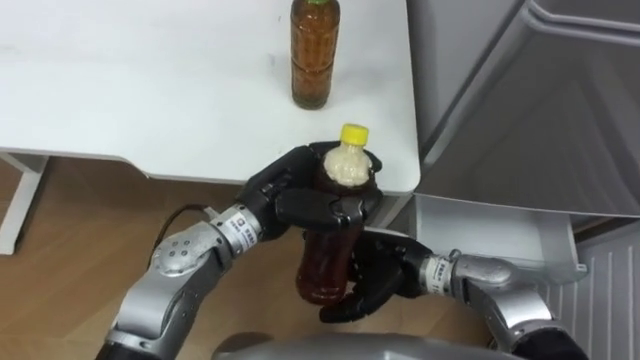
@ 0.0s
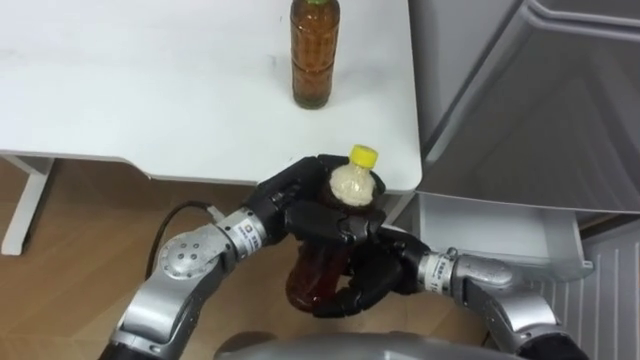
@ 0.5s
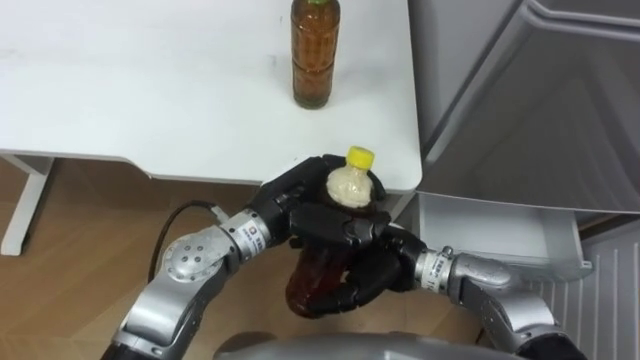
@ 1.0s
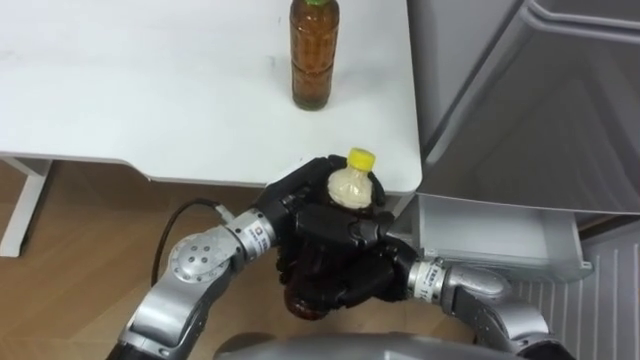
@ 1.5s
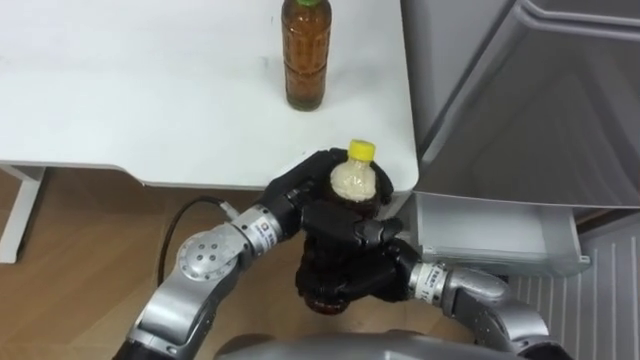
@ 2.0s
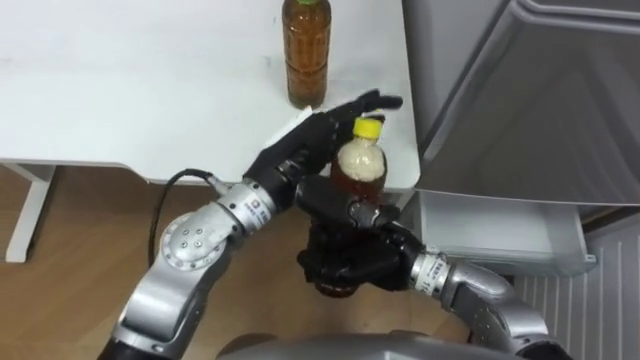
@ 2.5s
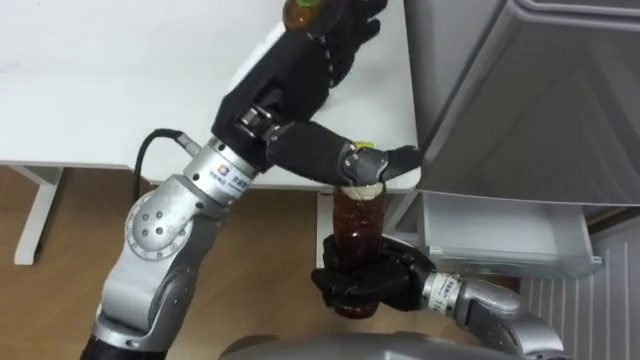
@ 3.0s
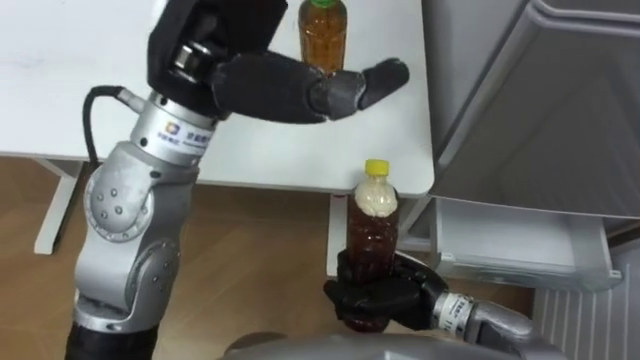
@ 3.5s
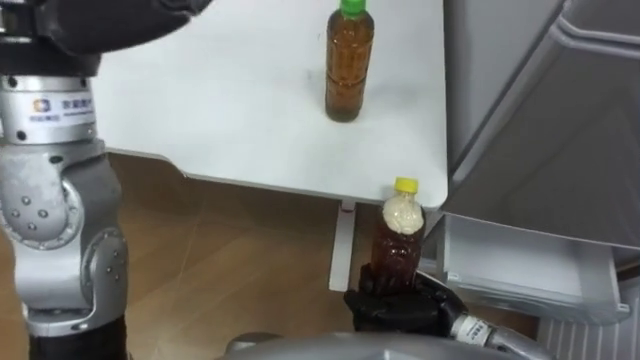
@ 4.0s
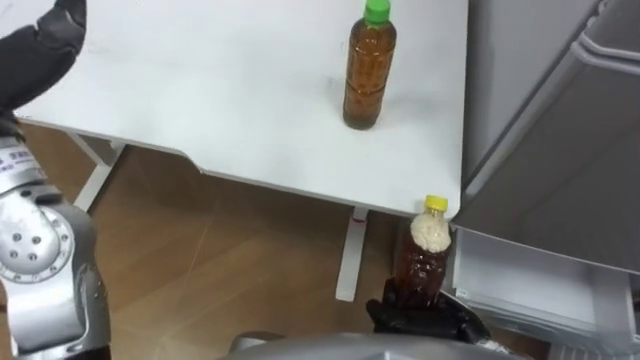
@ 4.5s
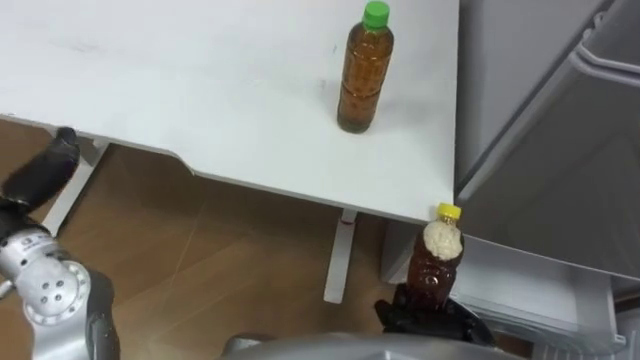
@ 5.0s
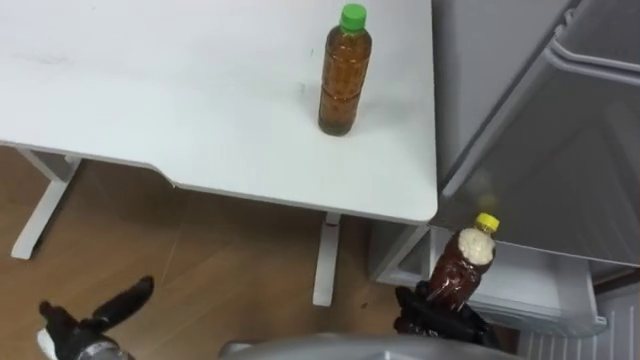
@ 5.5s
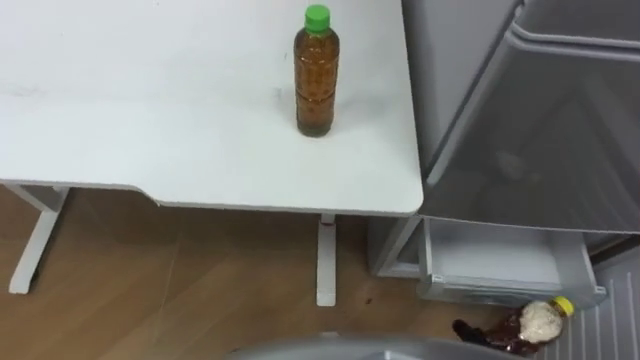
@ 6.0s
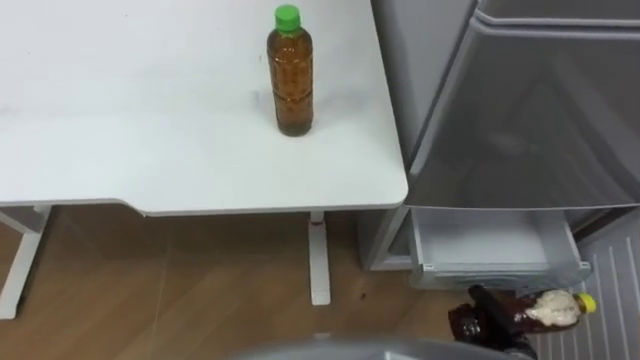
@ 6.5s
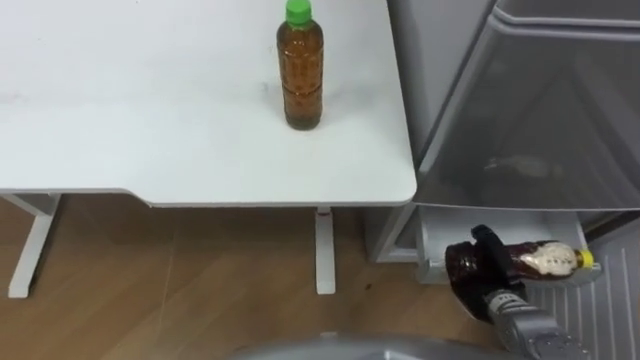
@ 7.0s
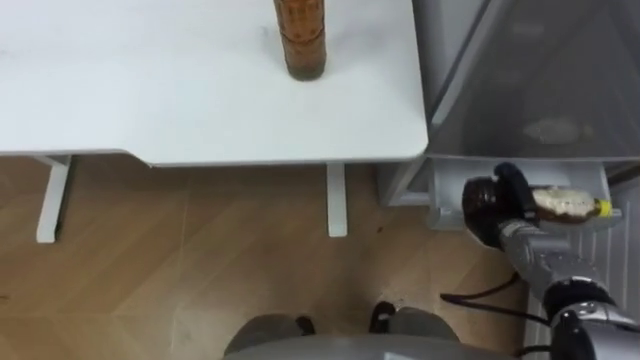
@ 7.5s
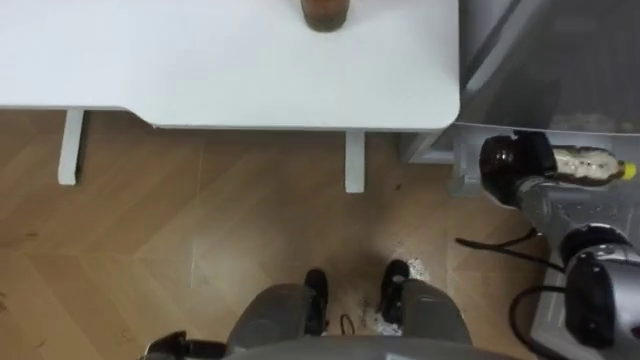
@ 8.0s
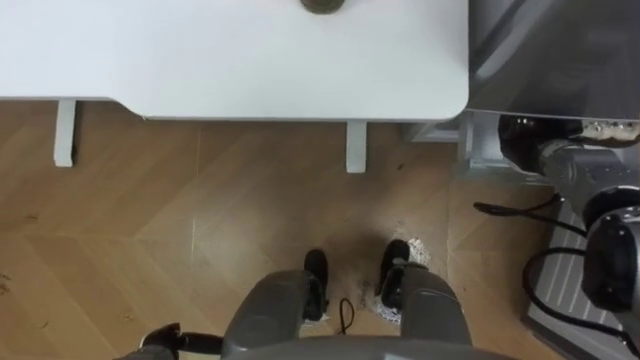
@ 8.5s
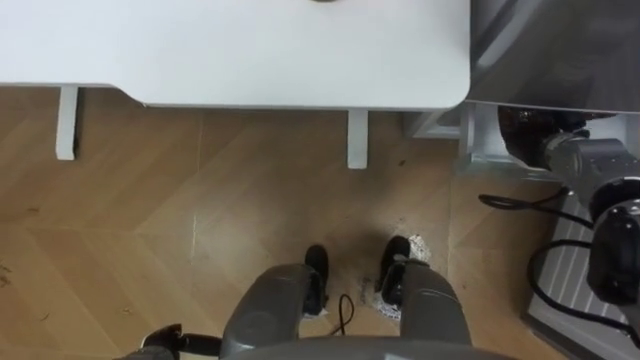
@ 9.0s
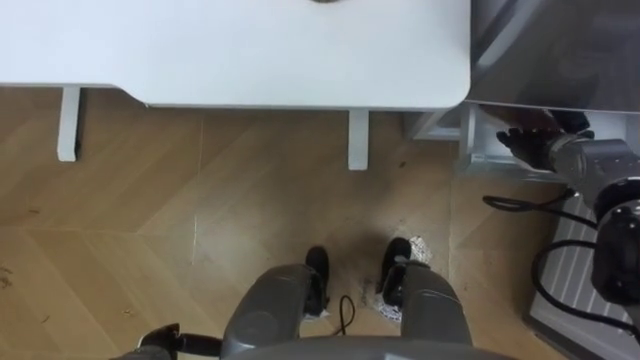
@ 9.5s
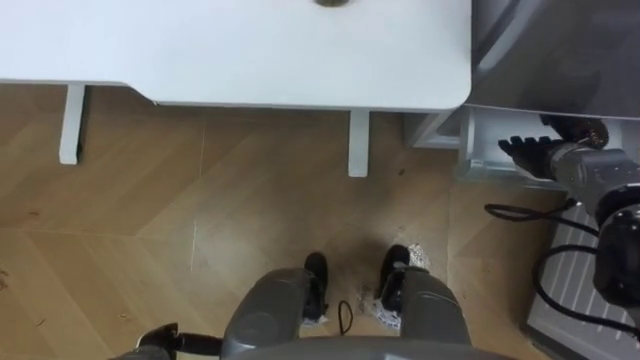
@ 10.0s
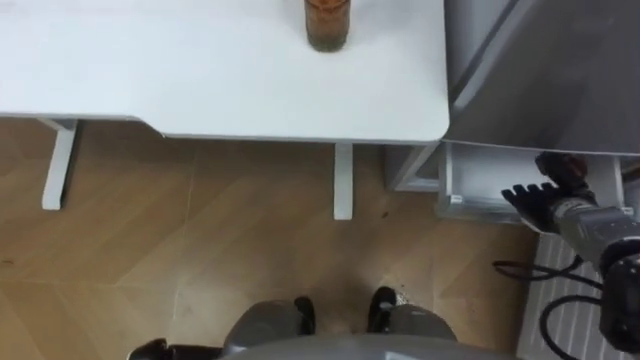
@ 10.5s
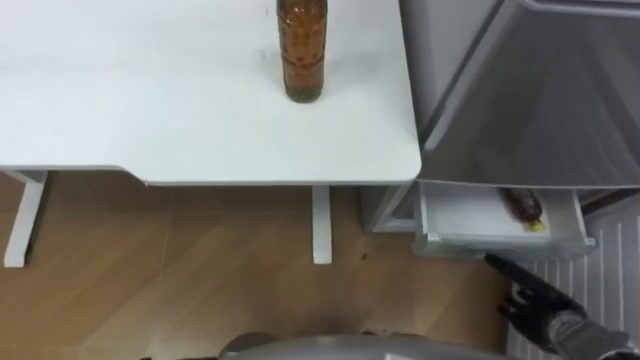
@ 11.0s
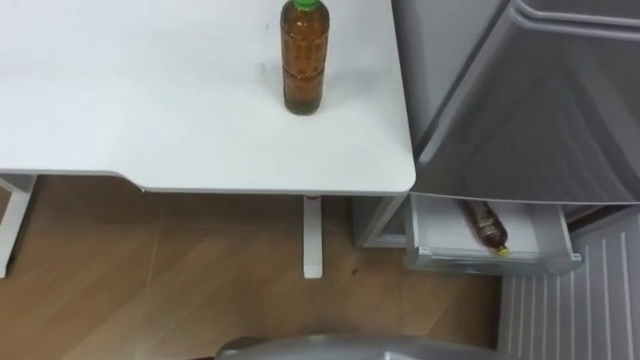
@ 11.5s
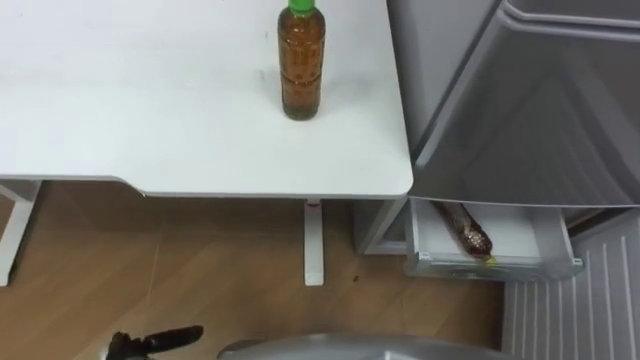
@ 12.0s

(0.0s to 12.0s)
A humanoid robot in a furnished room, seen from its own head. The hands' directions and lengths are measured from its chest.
Task of the whole recording: Place the drink on the table on the bottom shelf of the refrigerator, then close the drawer and the refrigerator door.
0.0s - 2.0s: The right hand closes.
2.0s - 4.0s: The left hand shifts approximately 30 cm upward and to the left, and opens its fingers, while the right hand is displaced to the right by approximately 5 cm.
8.0s - 10.0s: The right hand moves roughly 5 cm, and opens its fingers.

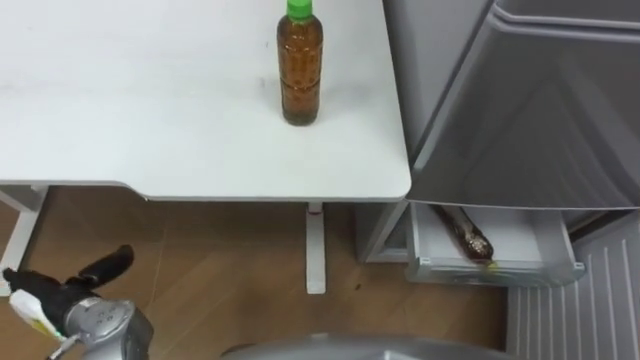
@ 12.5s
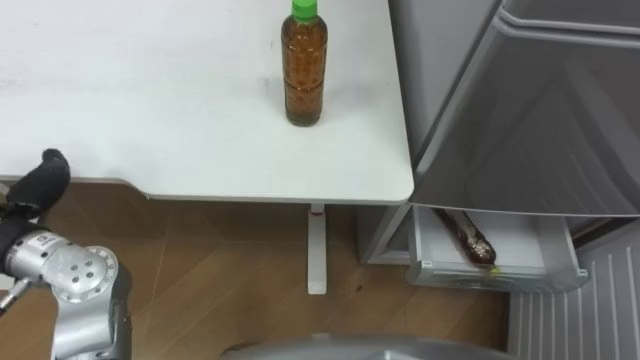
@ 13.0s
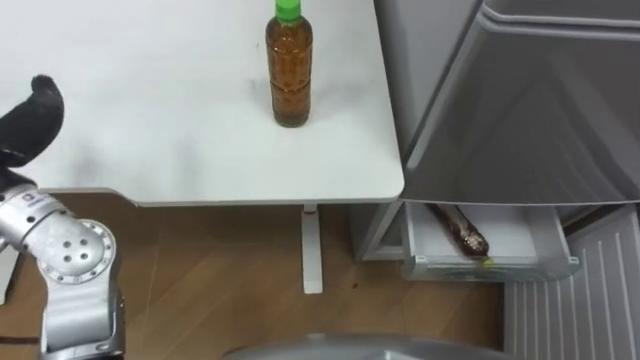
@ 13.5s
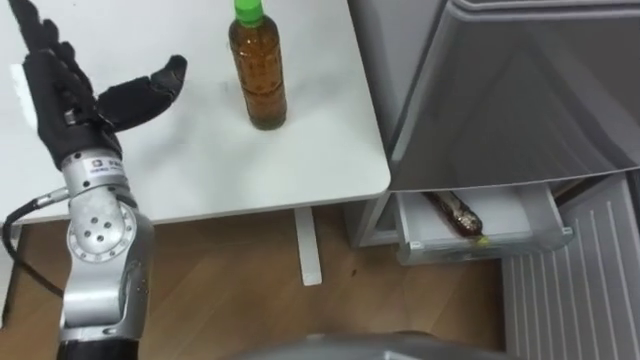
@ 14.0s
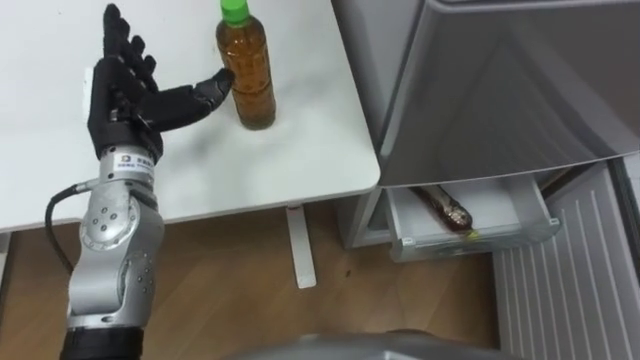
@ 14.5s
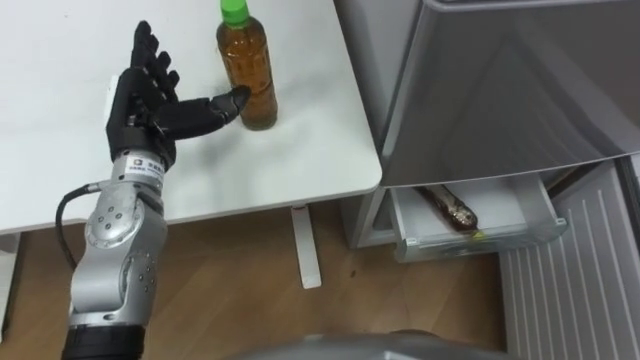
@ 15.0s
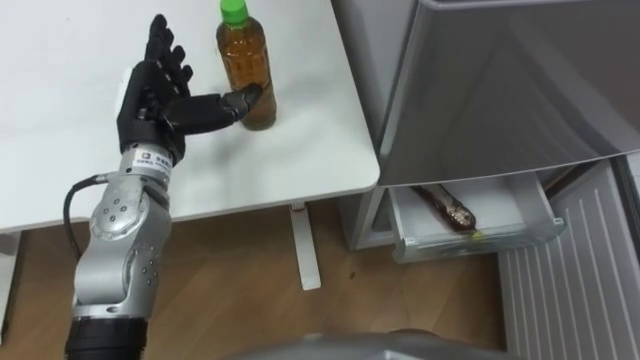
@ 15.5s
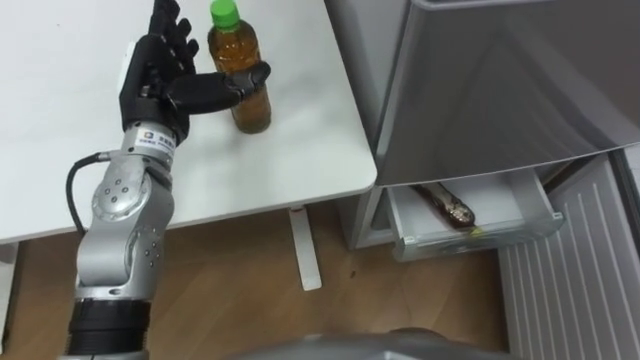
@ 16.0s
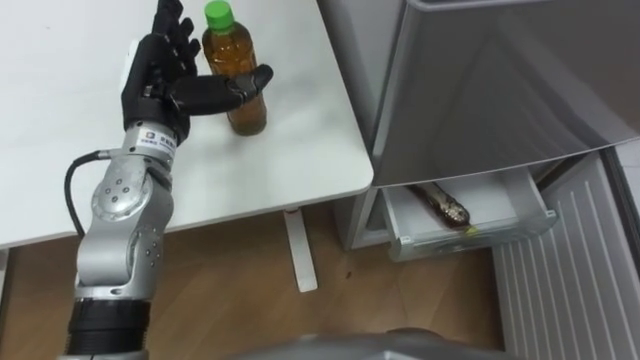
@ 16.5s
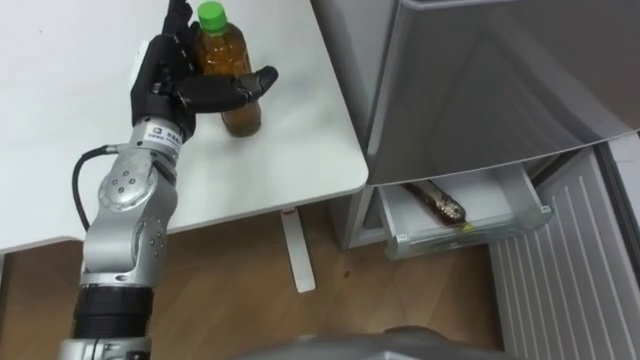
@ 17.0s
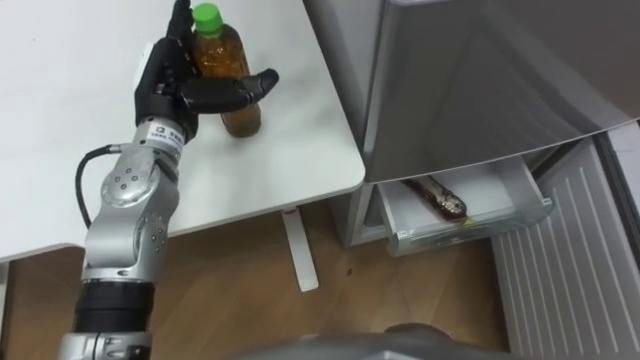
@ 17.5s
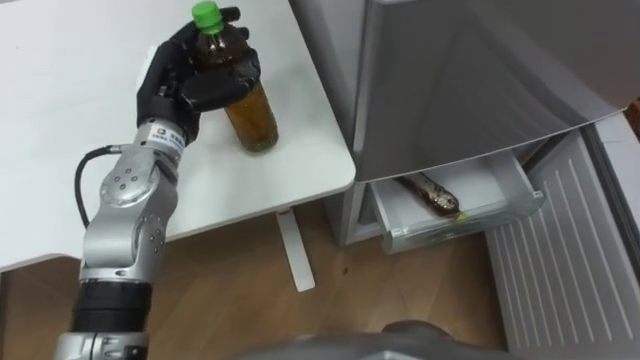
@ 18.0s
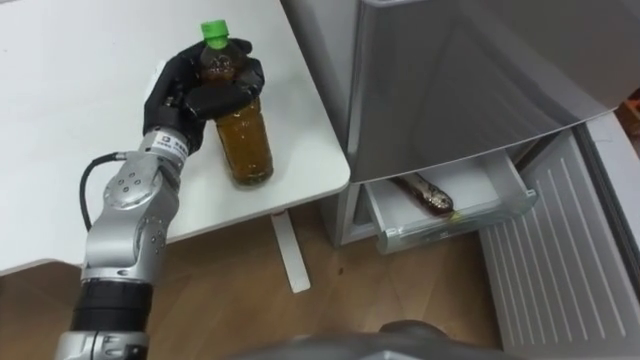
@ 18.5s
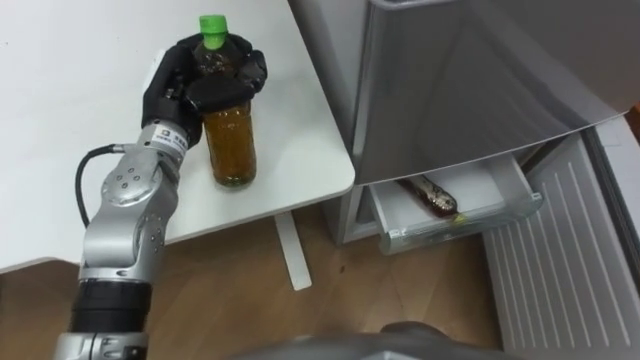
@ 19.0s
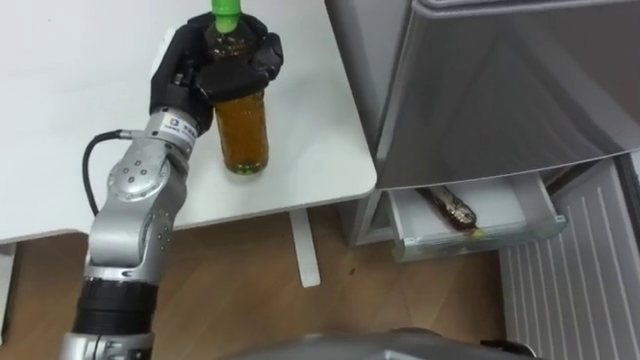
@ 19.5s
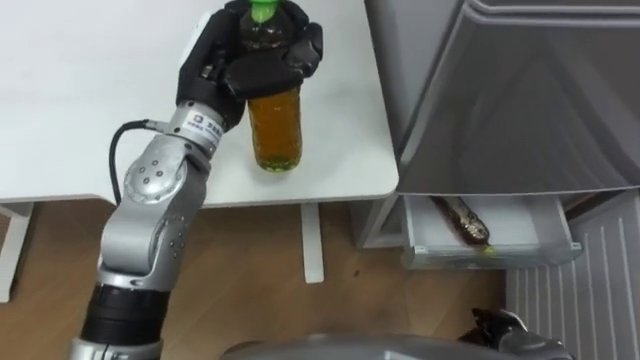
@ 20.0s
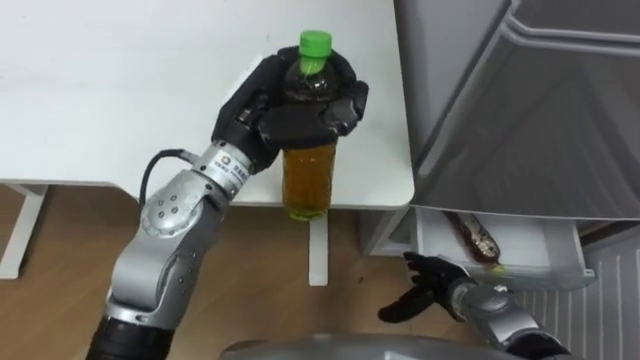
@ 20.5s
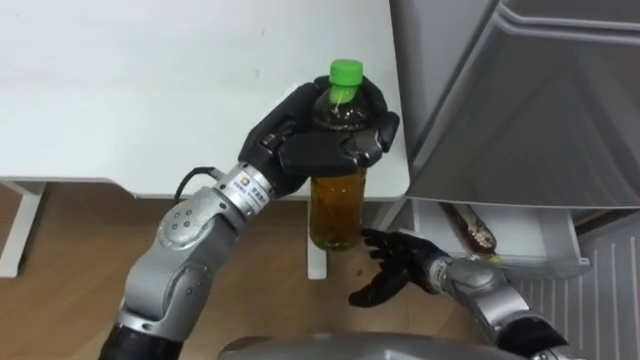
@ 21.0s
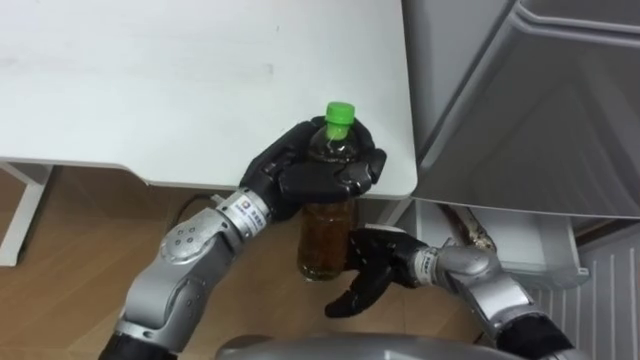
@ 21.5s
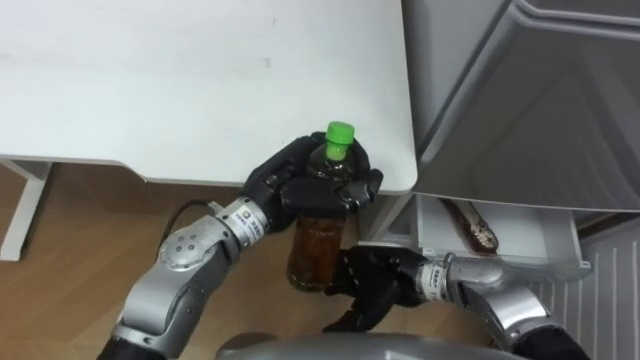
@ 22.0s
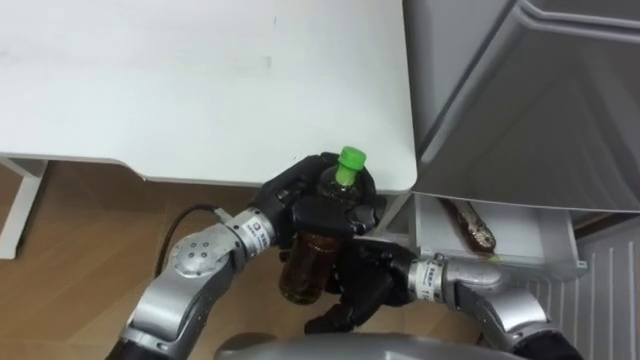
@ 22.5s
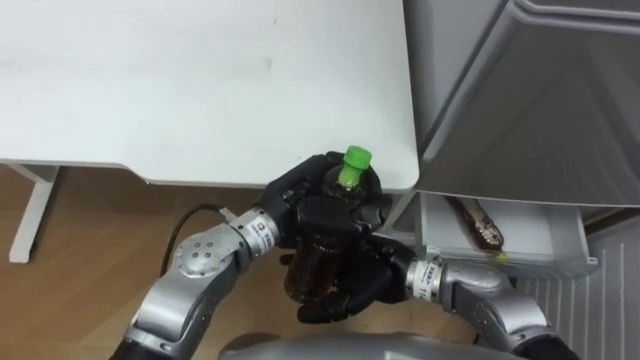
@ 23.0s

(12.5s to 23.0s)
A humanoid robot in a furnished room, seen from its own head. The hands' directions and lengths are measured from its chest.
Task of the whole recording: Place the drink on the table on the bottom shelf of the refrigerator, then close the drawer and the refrigerator door.
16.5s - 19.0s: The left hand closes its fingers.
19.0s - 21.0s: The left hand is displaced to the right and backward by about 15 cm.
21.0s - 23.0s: The left hand moves downward, about 10 cm. Meanwhile the right hand is displaced upward and to the left by roughly 10 cm.
